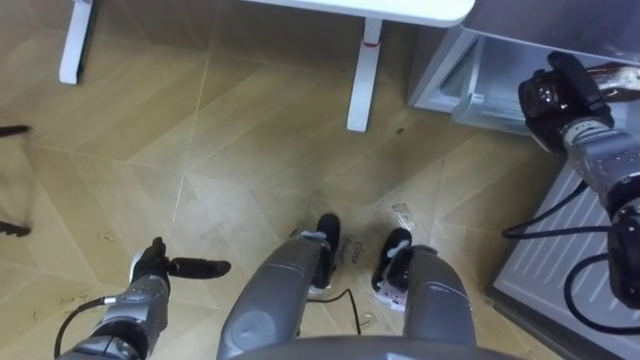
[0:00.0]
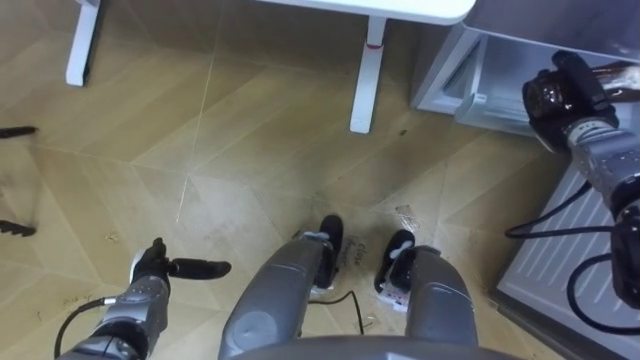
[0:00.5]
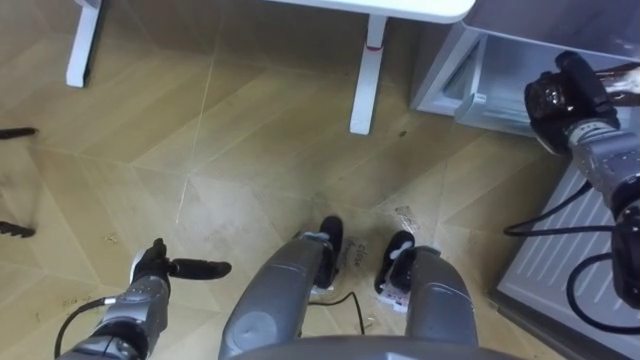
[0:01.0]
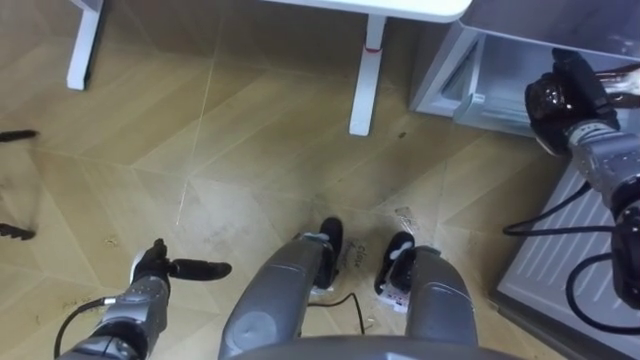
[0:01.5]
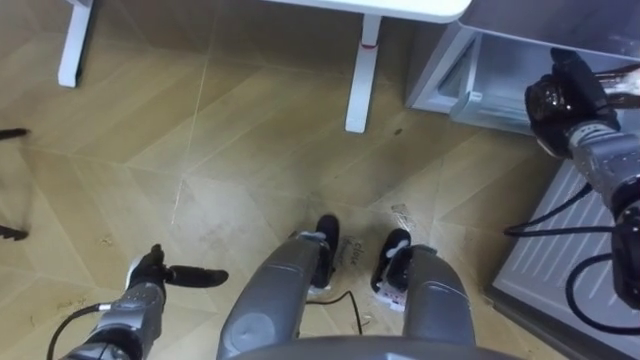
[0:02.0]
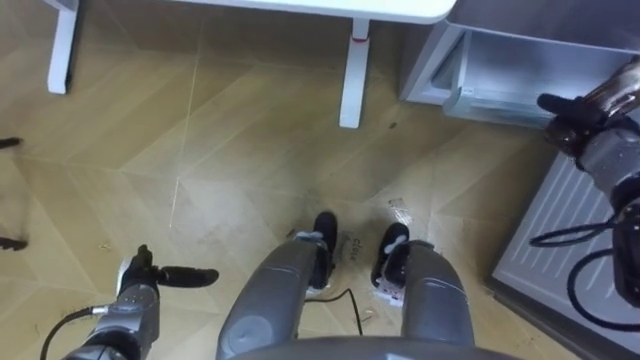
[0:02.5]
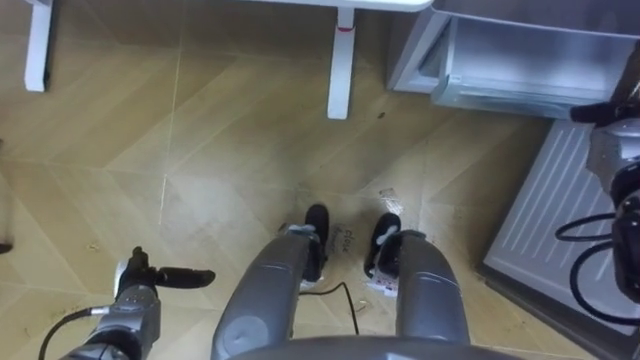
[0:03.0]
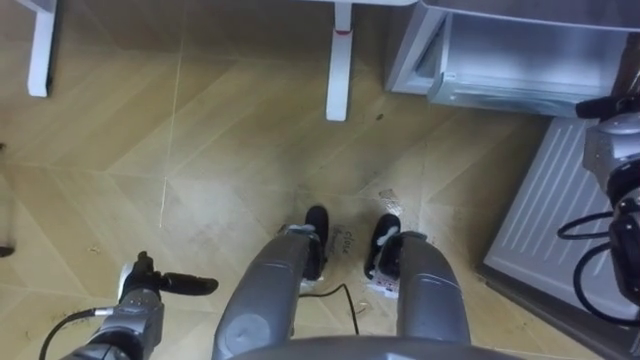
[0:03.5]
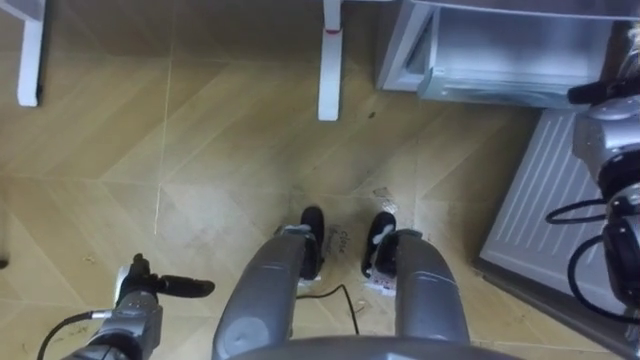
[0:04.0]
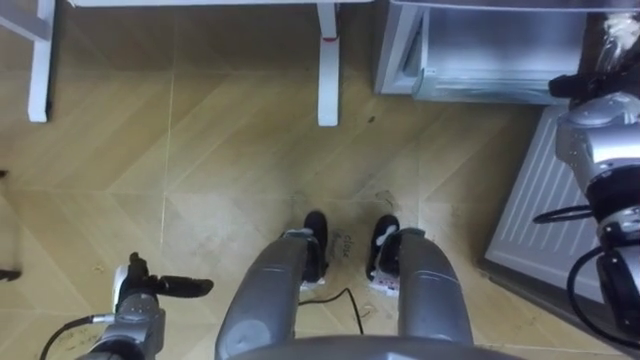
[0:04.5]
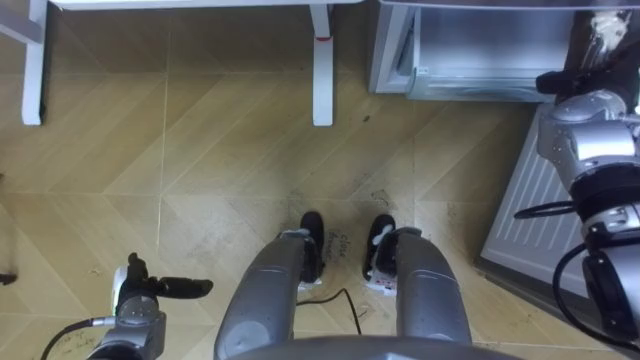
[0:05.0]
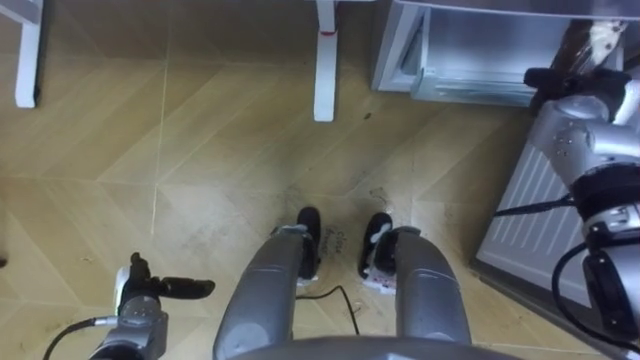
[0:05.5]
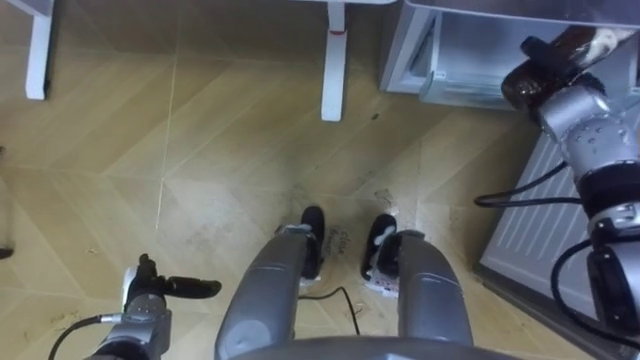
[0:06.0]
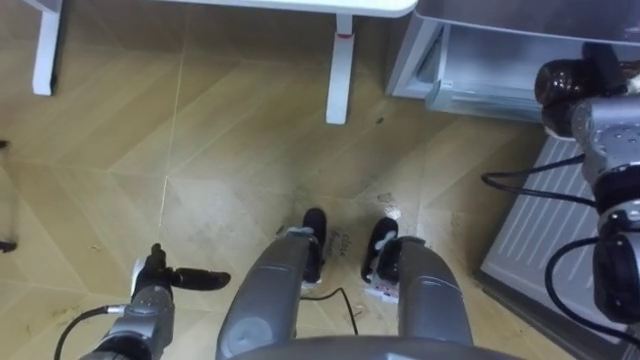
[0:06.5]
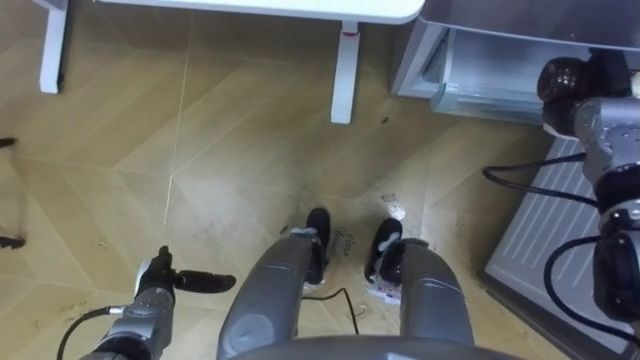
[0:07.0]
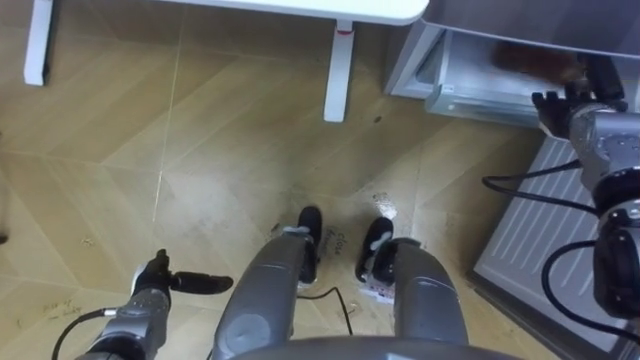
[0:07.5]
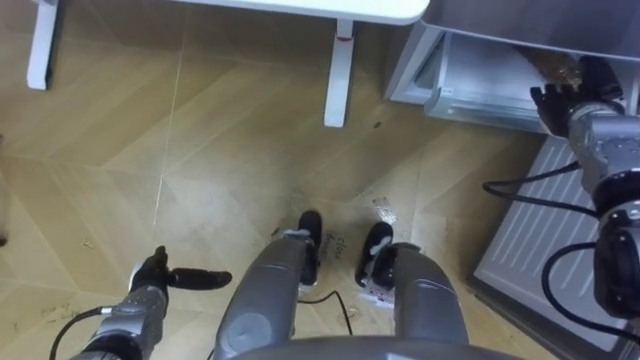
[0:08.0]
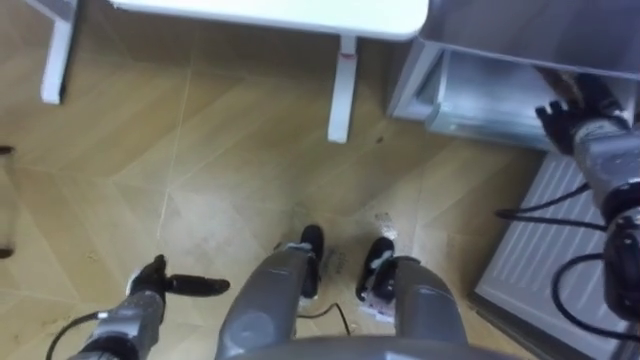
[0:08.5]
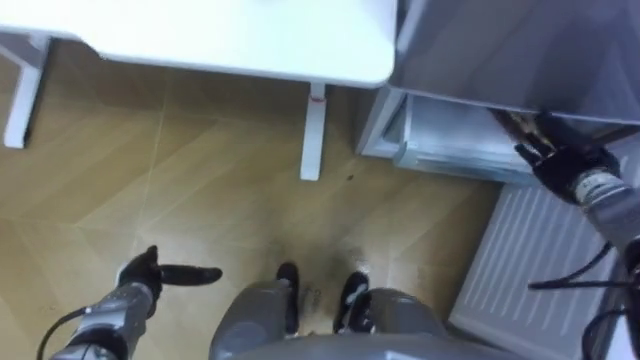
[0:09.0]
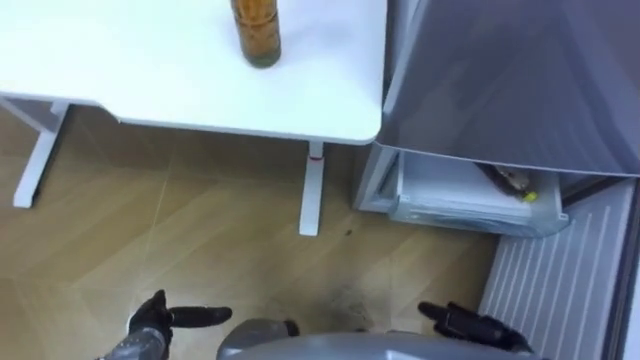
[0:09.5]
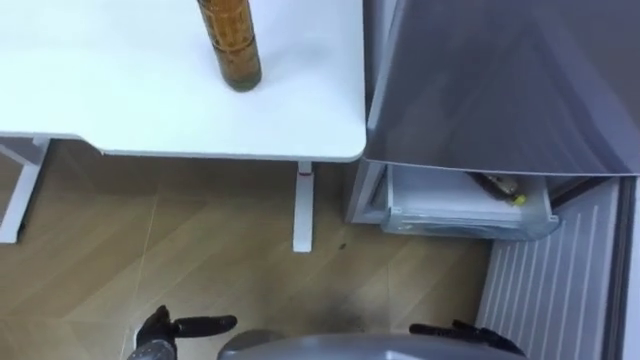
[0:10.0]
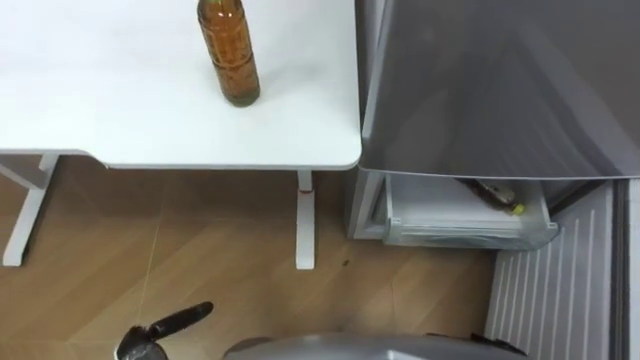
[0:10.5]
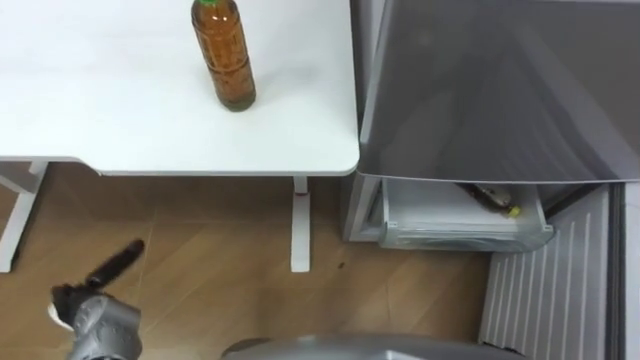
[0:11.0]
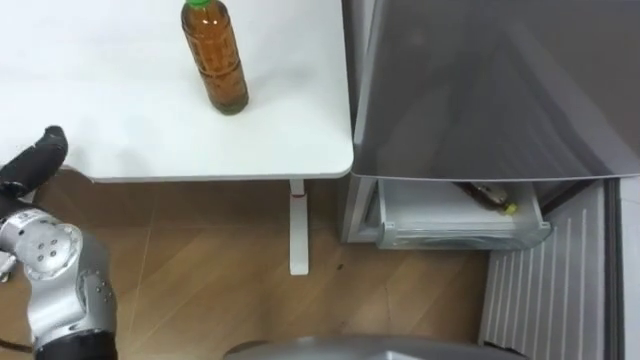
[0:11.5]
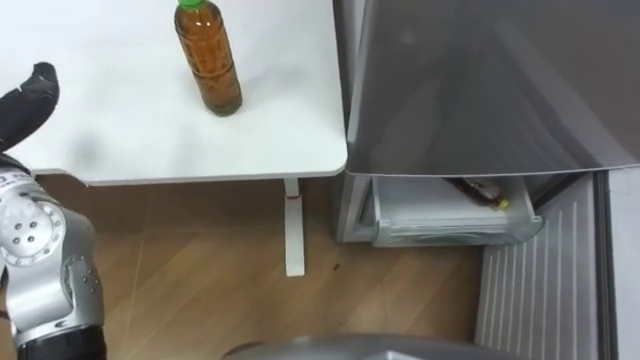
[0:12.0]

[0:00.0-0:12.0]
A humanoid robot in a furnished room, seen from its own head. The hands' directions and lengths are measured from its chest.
Task of the whole recording: Place the drink on the table on the bottom shelf of the refrigerator, then close the drawer and the refrigerator door.
0:00.0 to 0:02.0: Neither hand changes place.
0:04.0 to 0:06.0: The right hand travels to the left by approximately 10 cm.
0:06.0 to 0:08.0: The right hand opens.
0:08.0 to 0:10.0: The left hand shifts approximately 10 cm backward.

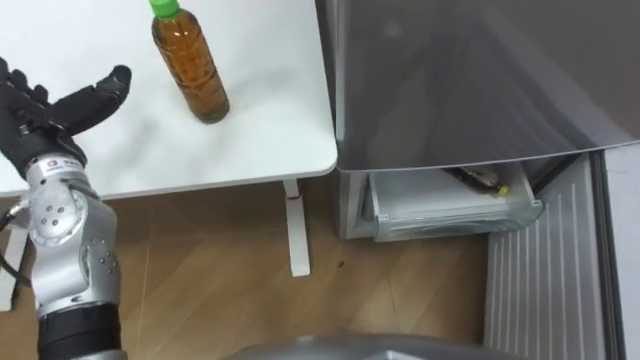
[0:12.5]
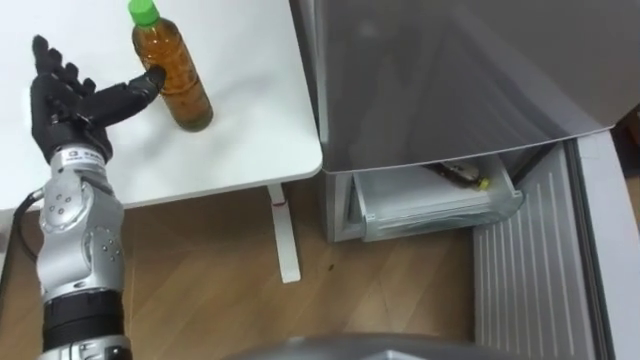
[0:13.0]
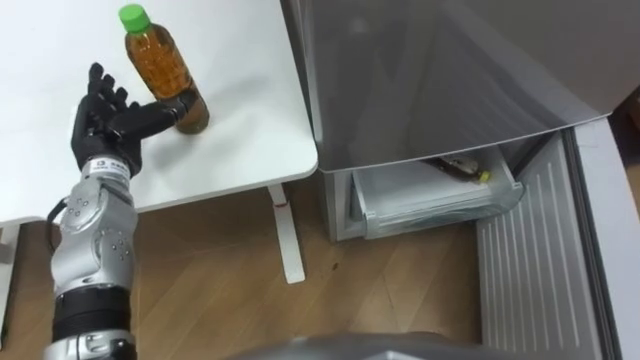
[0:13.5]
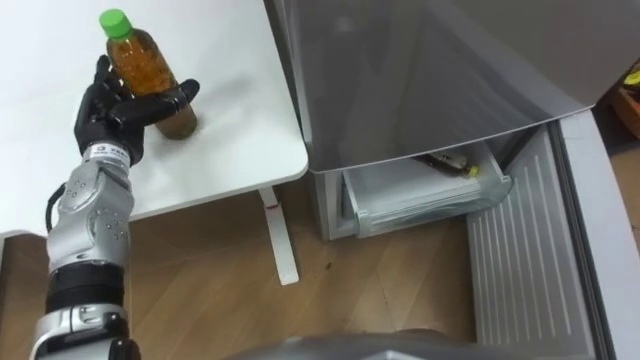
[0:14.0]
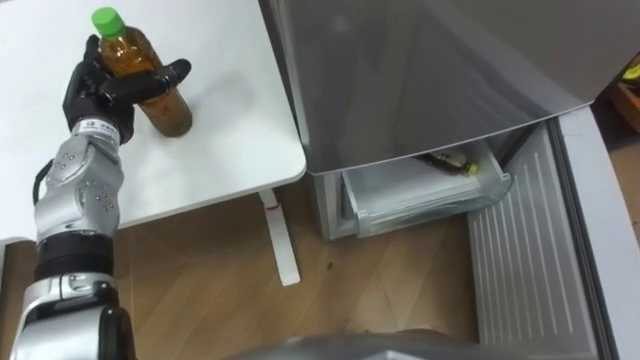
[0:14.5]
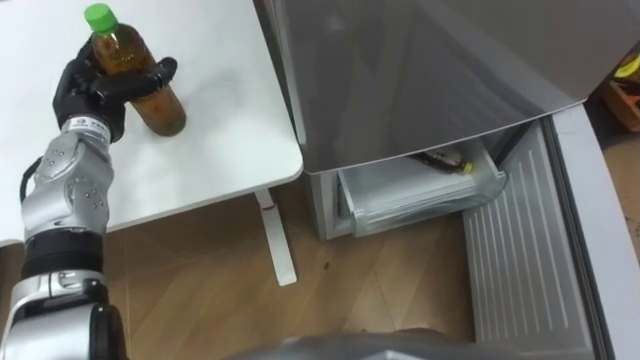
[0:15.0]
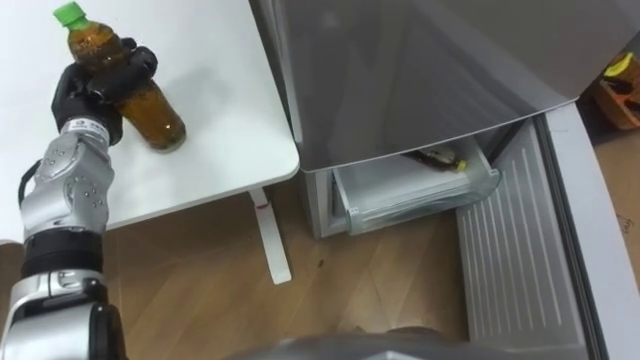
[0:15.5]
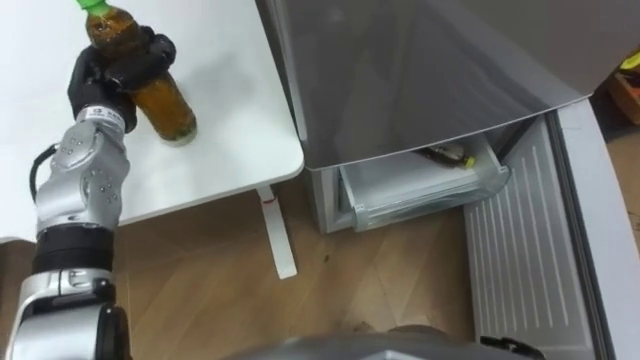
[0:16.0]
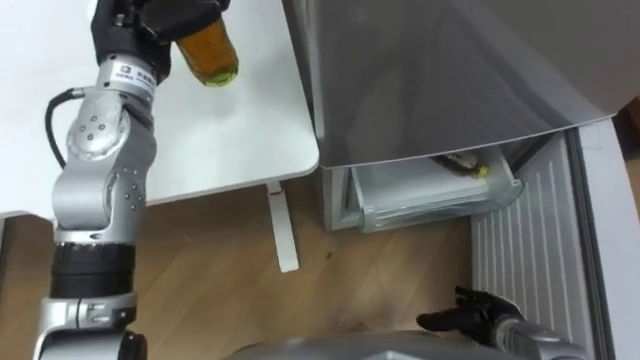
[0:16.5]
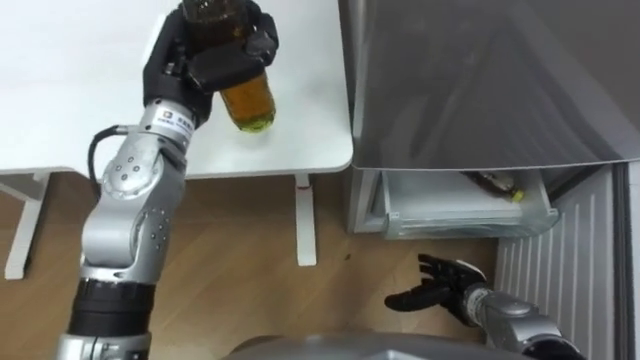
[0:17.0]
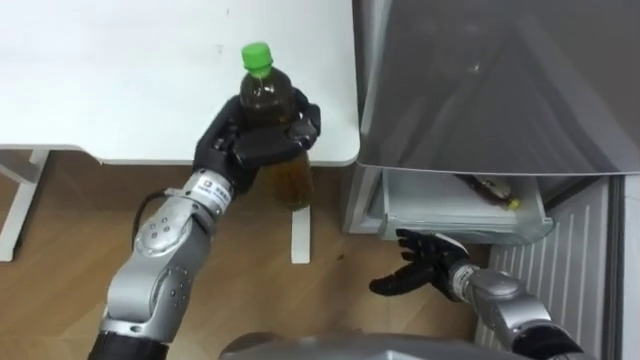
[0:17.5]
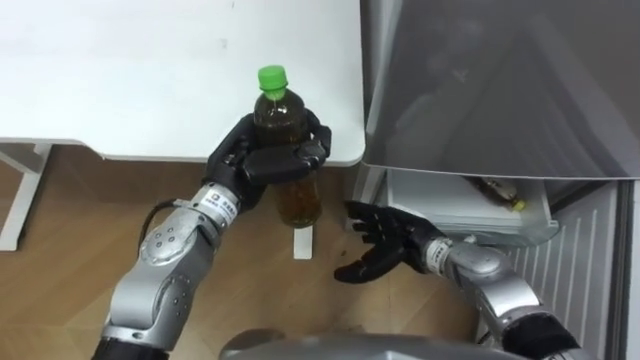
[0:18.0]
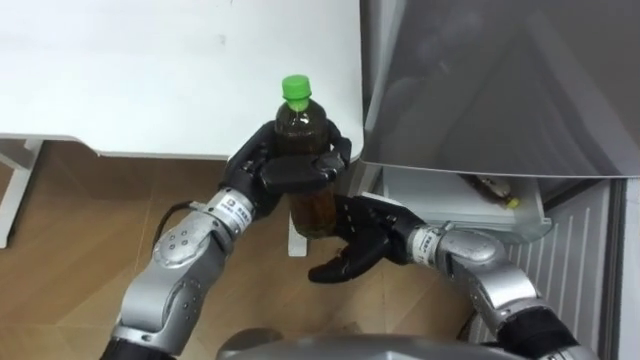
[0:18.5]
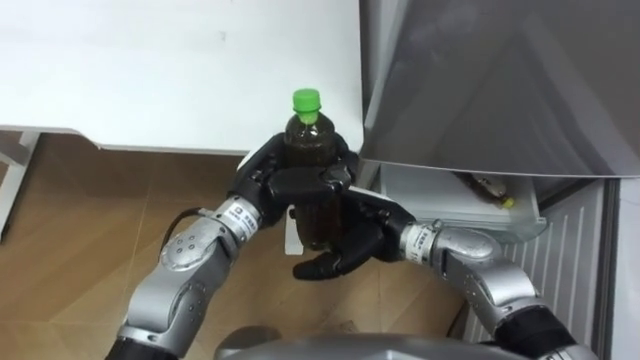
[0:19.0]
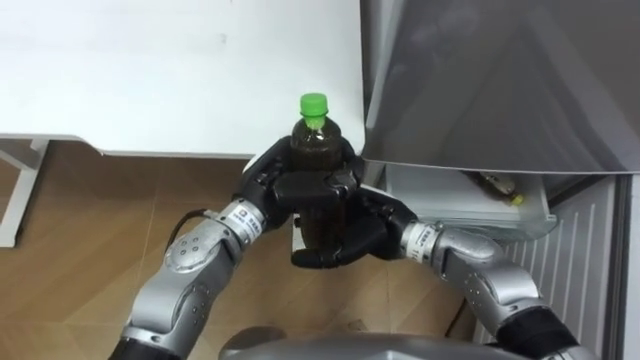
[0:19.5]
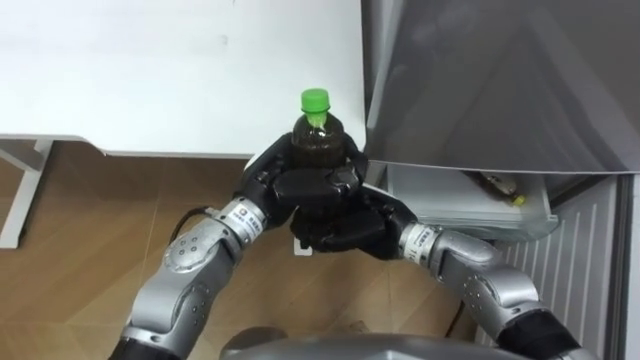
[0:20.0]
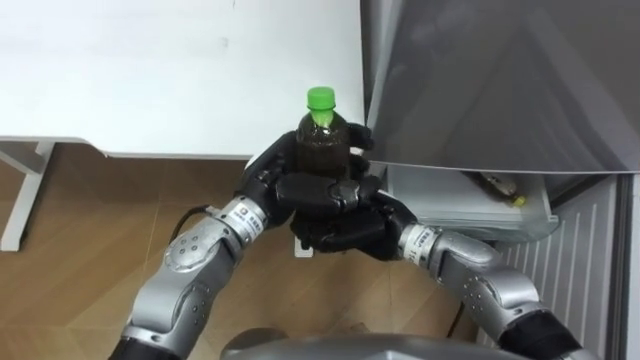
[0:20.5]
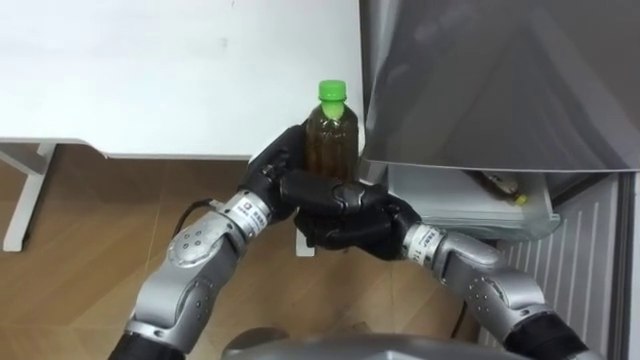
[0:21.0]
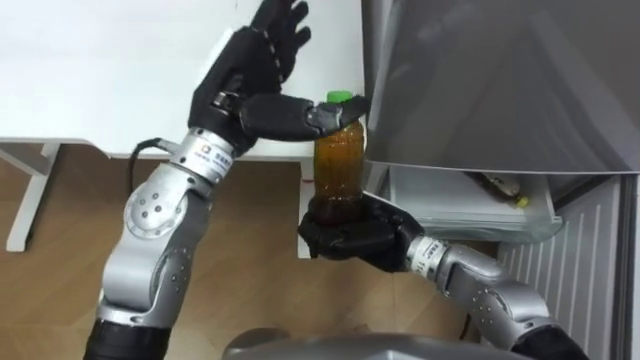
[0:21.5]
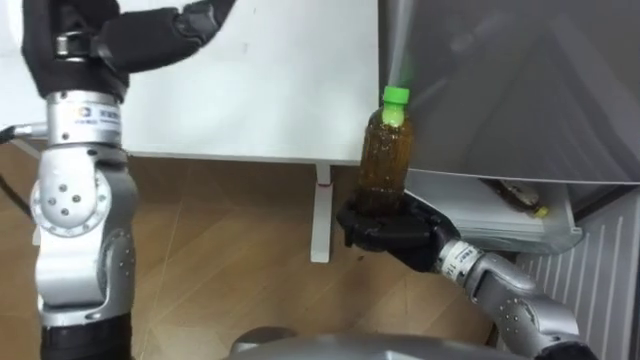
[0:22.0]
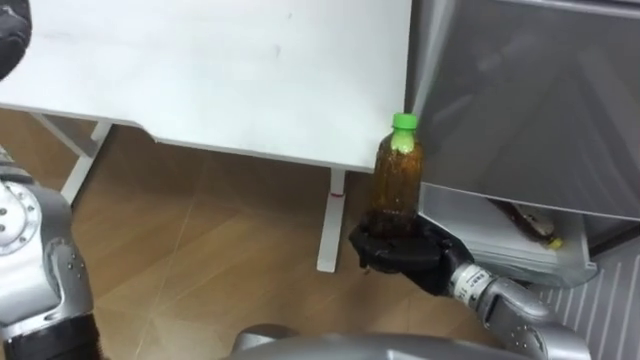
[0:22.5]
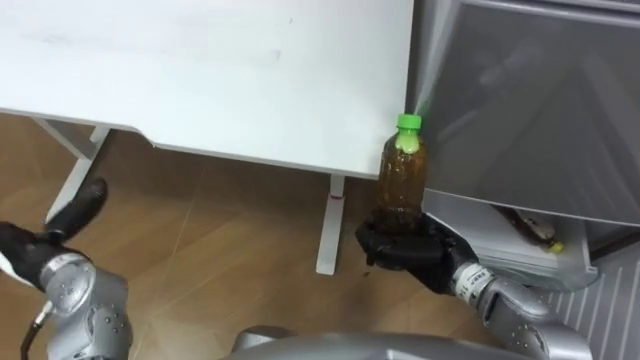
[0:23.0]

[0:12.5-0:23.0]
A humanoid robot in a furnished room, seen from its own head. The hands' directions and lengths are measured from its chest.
Task of the whole recording: Place the drink on the table on the bottom shelf of the refrigerator, then close the drawer and the refrigerator door.
0:12.5 to 0:14.5: The left hand travels forward by approximately 5 cm.
0:14.5 to 0:16.5: The left hand travels upward and to the right by approximately 15 cm, and closes its fingers.
0:16.5 to 0:19.0: The left hand heads downward, to the right and backward, covering roughly 20 cm, while the right hand moves to the left, upward and forward, roughly 25 cm.
0:19.0 to 0:21.0: The right hand closes its fingers. Meanwhile the left hand opens its fingers.
0:21.0 to 0:23.0: The right hand is displaced to the right by approximately 10 cm.
